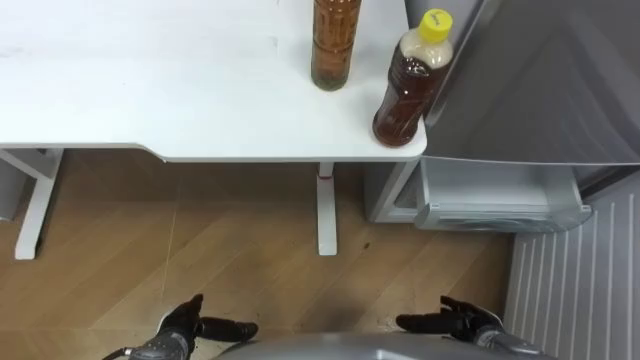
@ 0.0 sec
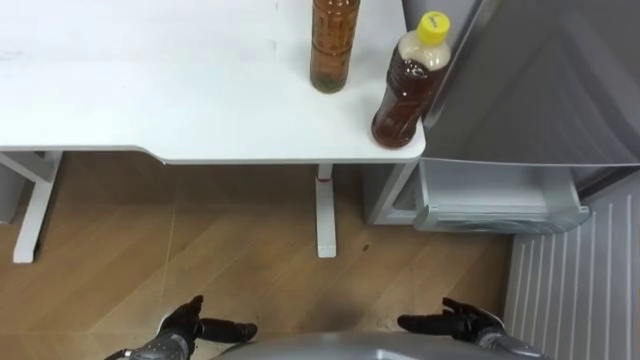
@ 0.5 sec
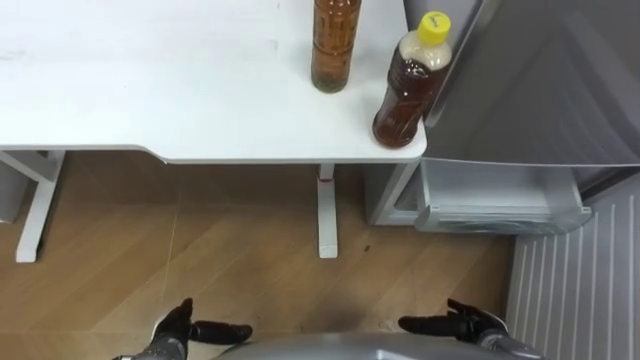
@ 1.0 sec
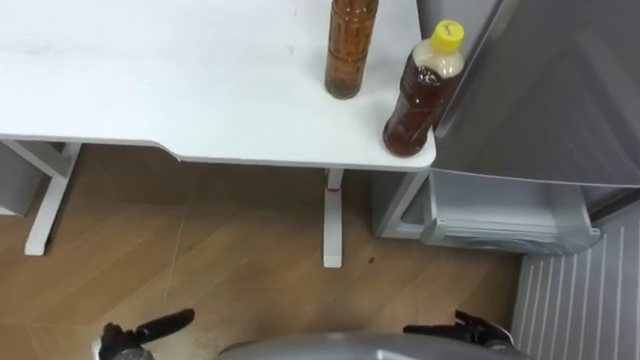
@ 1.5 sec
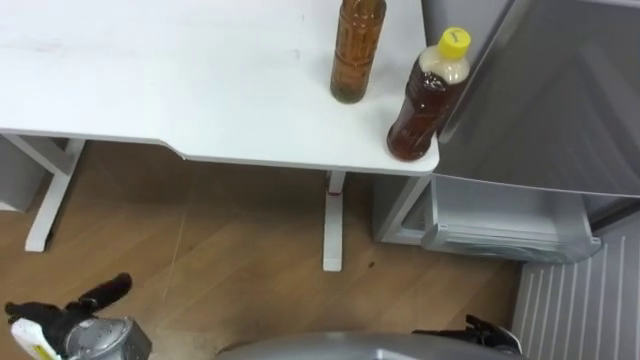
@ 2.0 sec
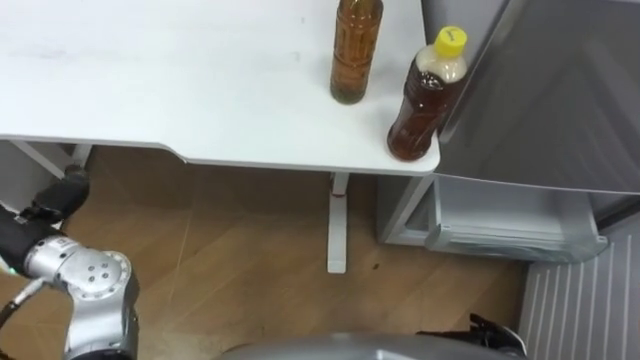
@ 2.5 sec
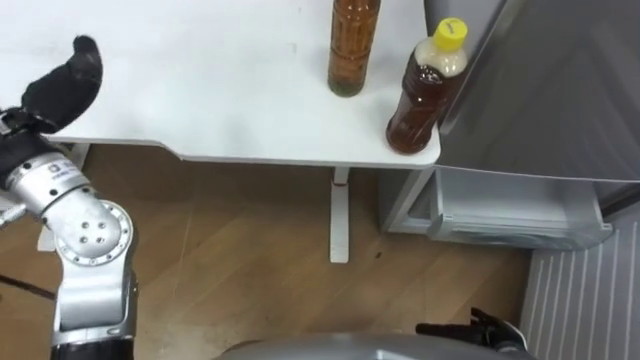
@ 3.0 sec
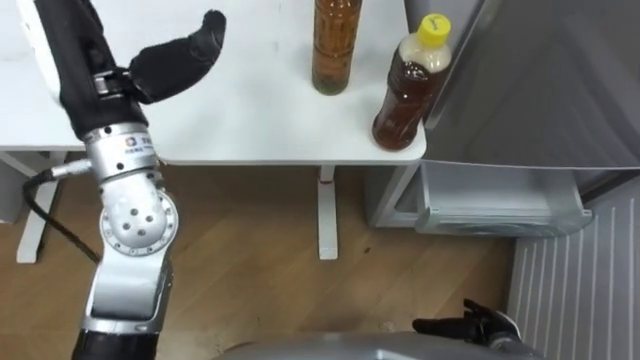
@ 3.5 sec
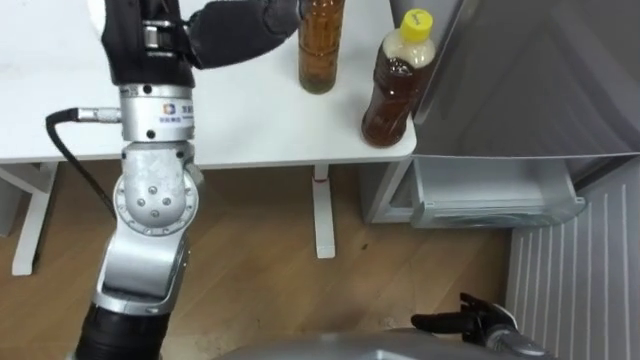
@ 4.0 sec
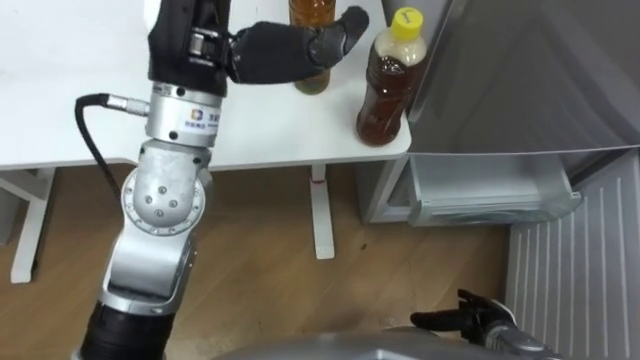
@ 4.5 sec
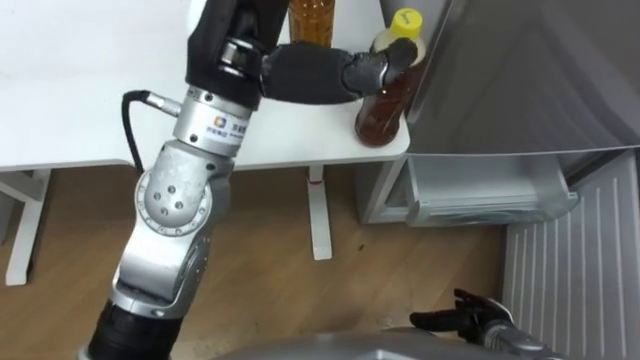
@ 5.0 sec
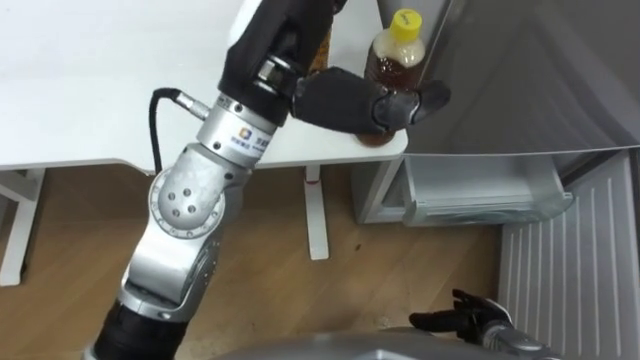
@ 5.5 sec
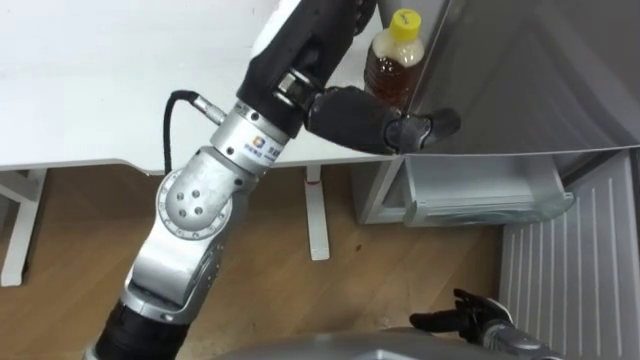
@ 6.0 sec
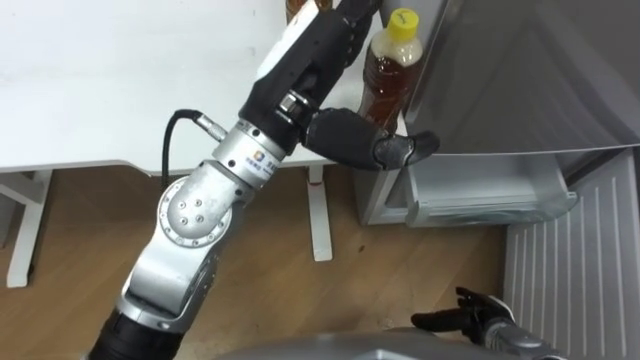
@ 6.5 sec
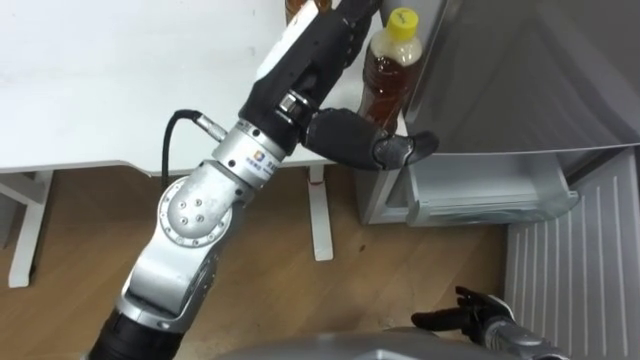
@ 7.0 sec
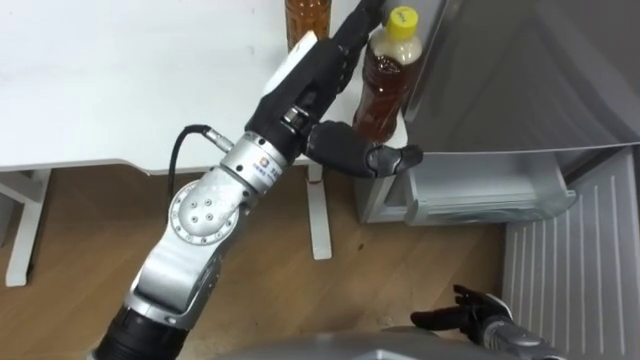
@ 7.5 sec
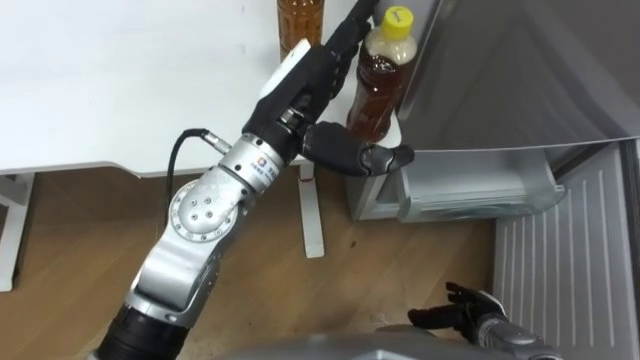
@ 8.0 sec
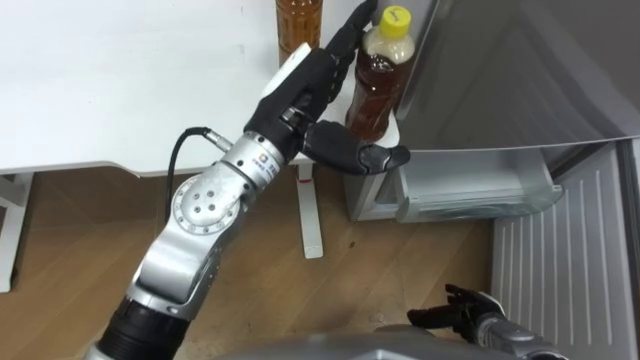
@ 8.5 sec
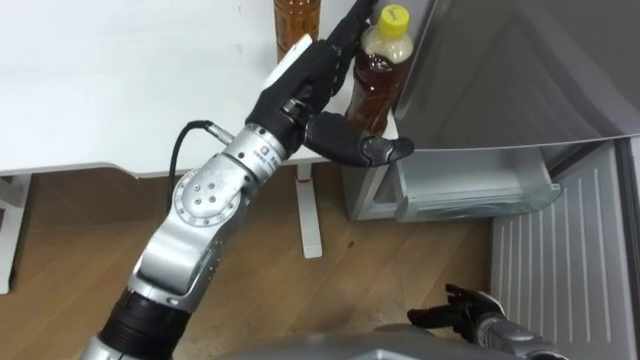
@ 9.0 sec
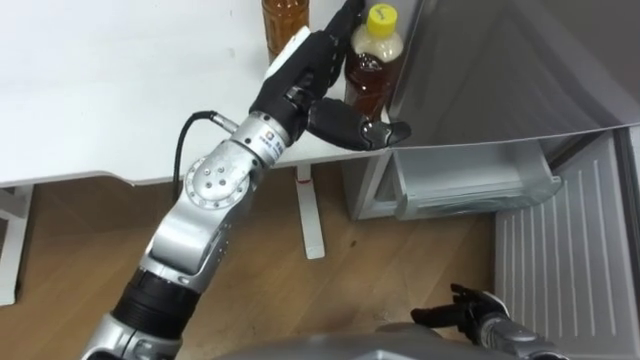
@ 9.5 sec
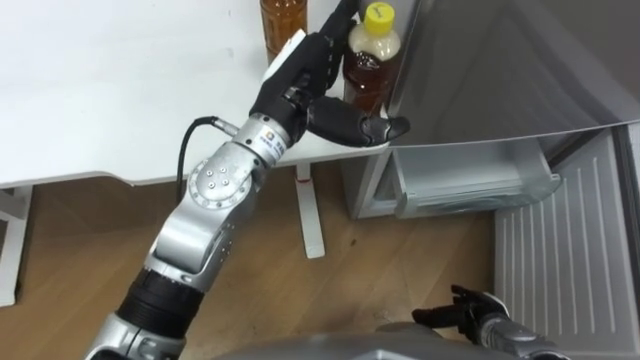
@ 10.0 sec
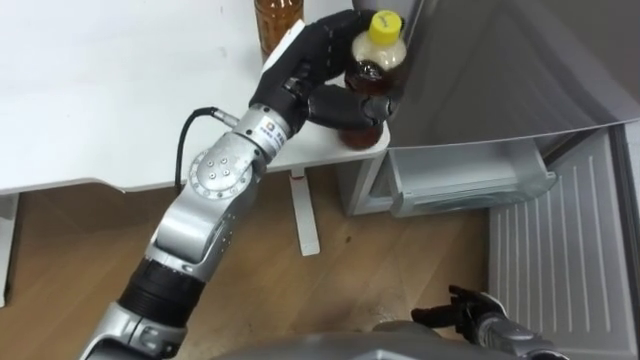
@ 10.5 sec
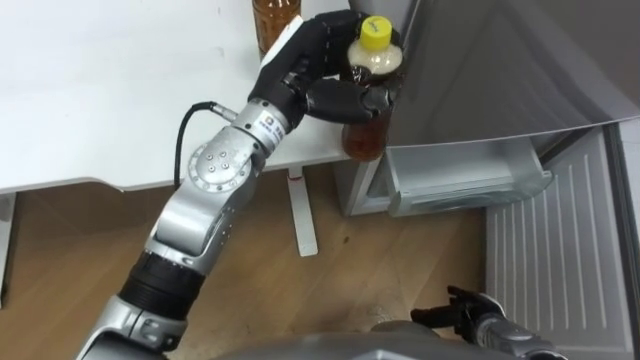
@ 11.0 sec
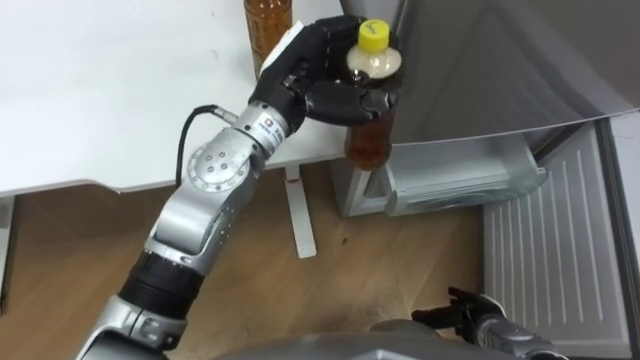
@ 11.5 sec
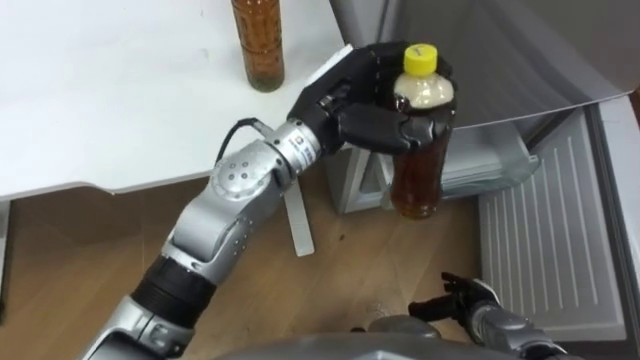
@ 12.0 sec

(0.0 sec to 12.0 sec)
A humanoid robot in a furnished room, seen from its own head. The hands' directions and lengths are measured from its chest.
Task of the whole recording: Place the drink on the table on the bottom shelf of the refrigerator, then close the drawer and the refrigerator door.
4.0 sec - 6.0 sec: The left hand goes approximately 10 cm to the right.
6.0 sec - 8.0 sec: The left hand is displaced downward by about 10 cm.
10.0 sec - 12.0 sec: The left hand closes.

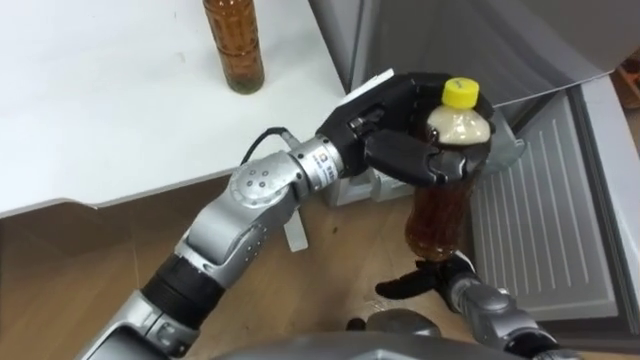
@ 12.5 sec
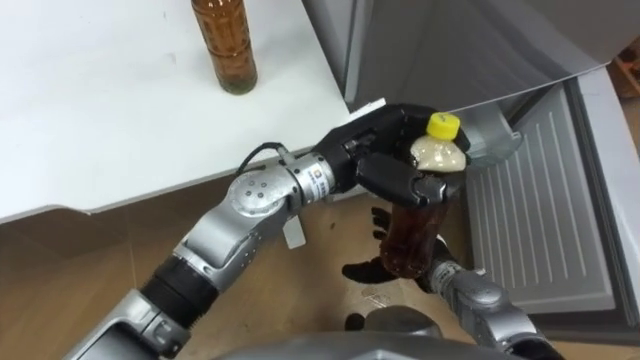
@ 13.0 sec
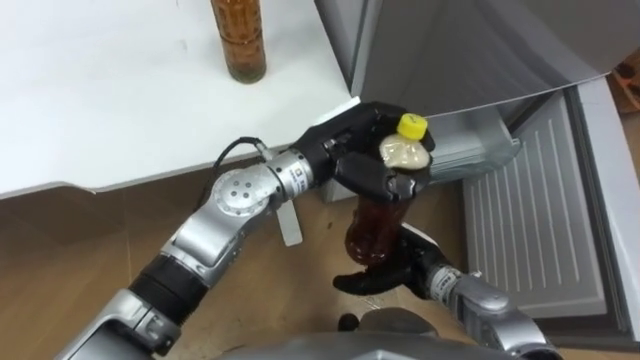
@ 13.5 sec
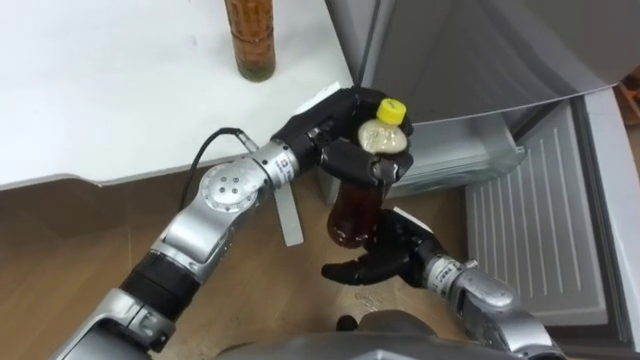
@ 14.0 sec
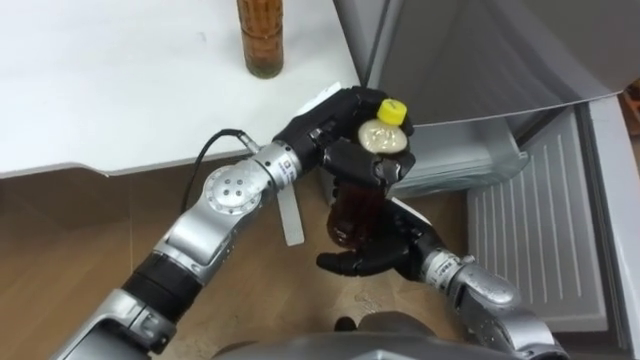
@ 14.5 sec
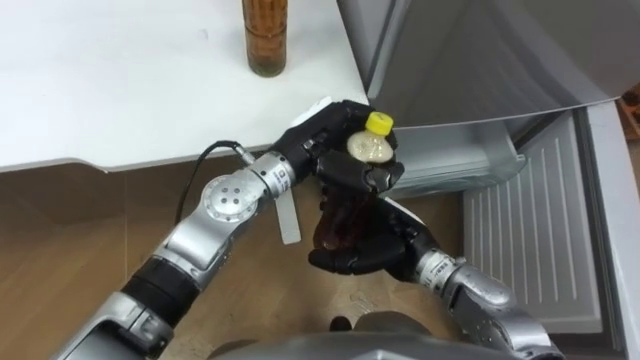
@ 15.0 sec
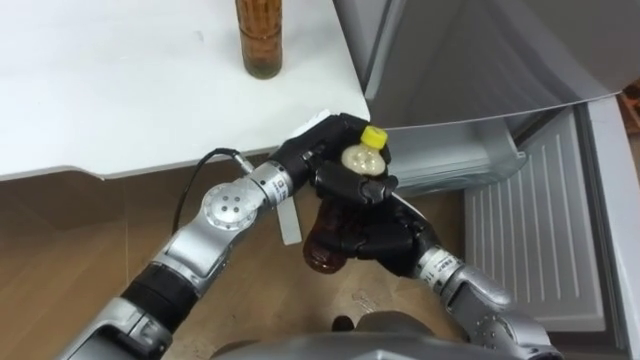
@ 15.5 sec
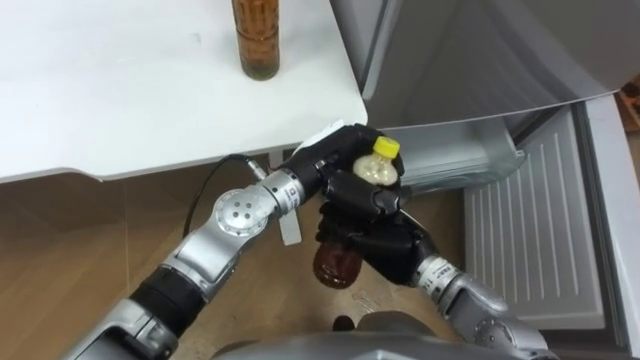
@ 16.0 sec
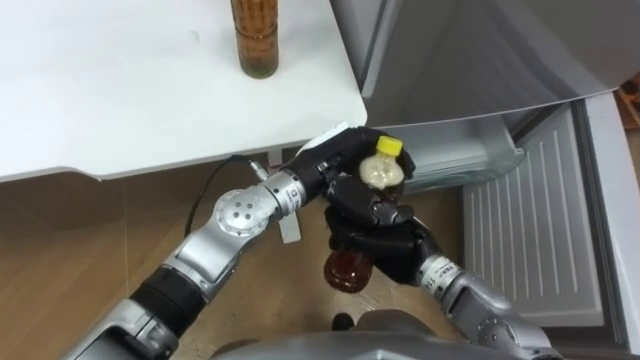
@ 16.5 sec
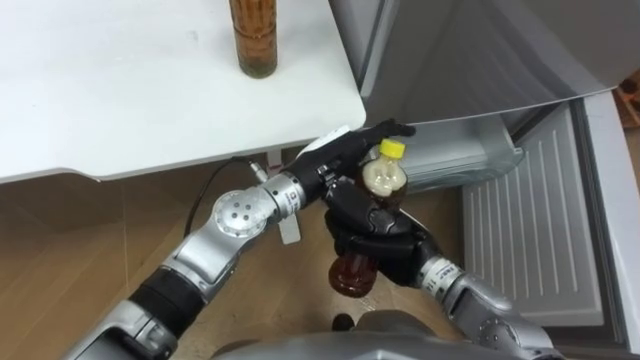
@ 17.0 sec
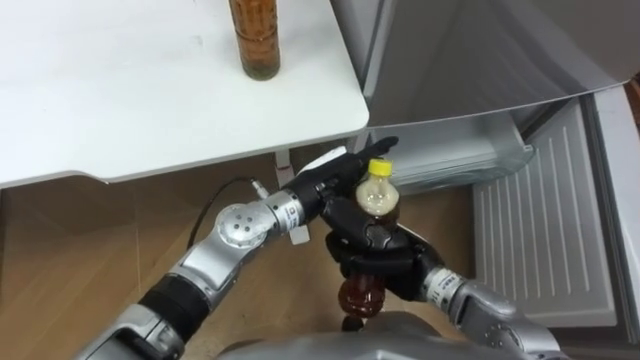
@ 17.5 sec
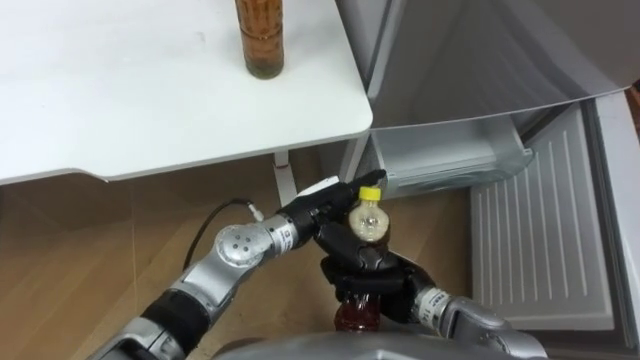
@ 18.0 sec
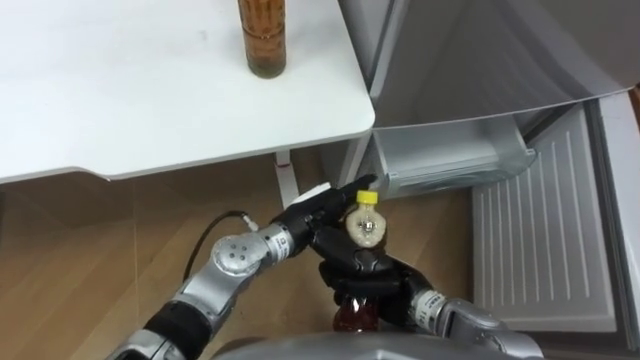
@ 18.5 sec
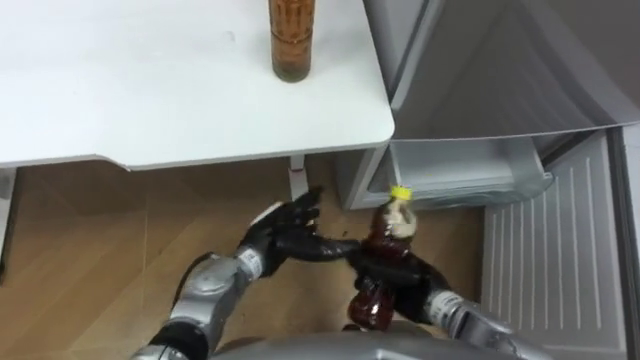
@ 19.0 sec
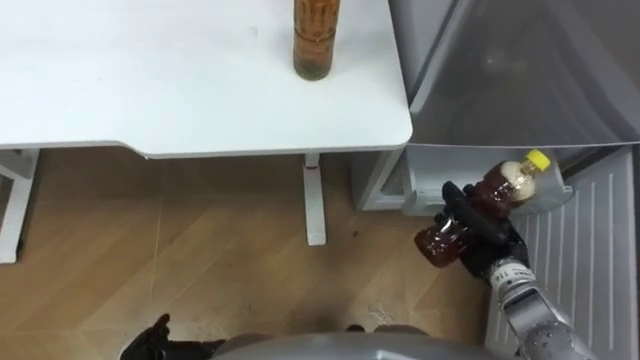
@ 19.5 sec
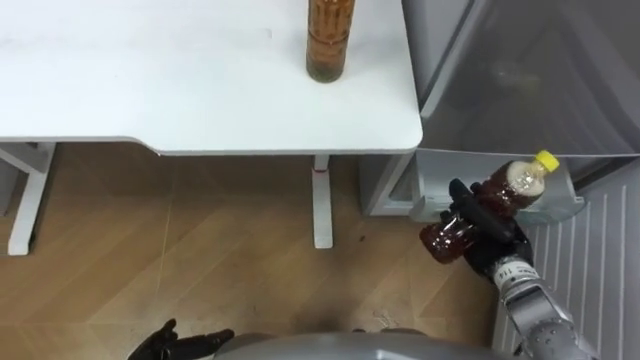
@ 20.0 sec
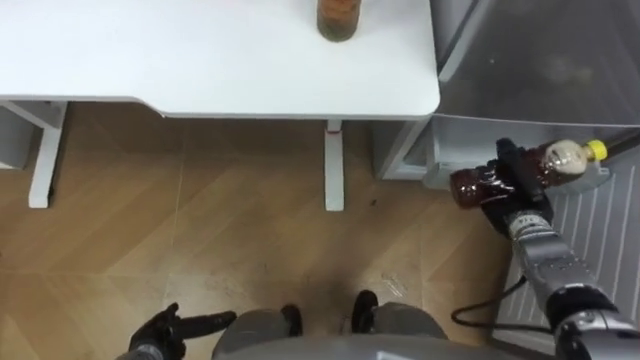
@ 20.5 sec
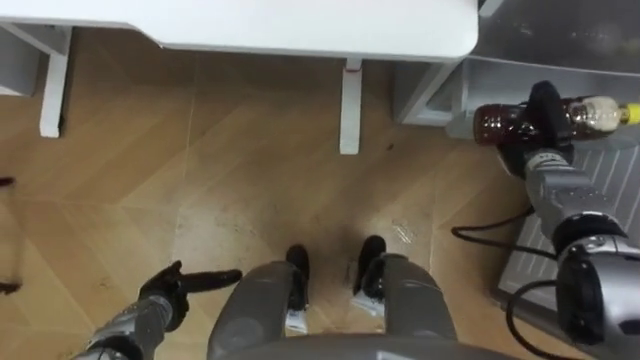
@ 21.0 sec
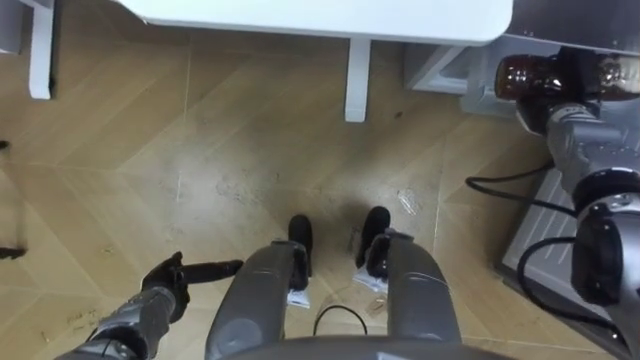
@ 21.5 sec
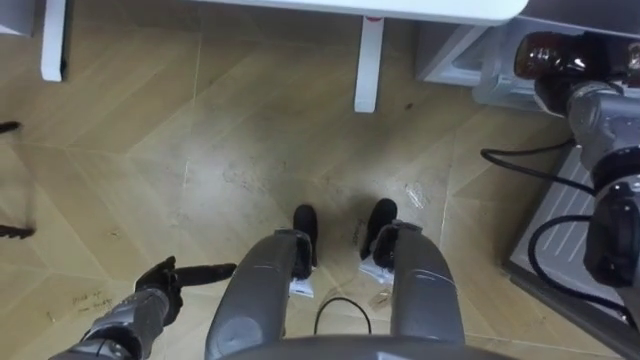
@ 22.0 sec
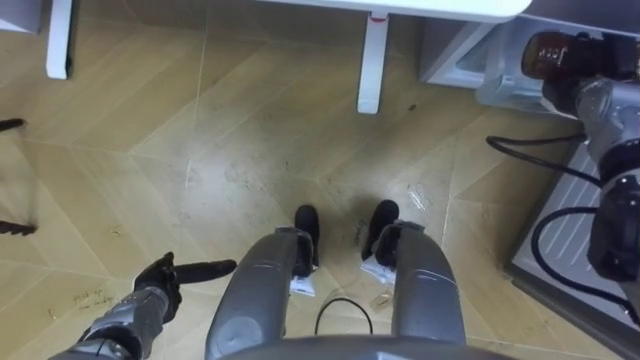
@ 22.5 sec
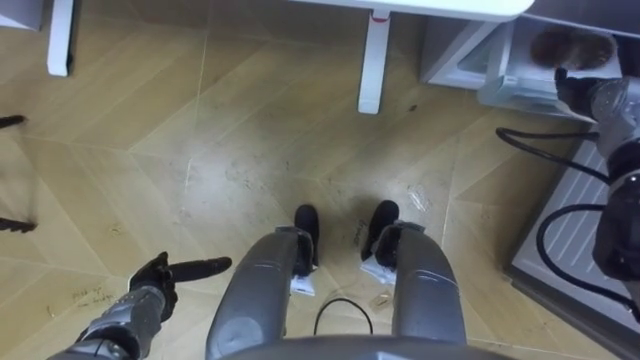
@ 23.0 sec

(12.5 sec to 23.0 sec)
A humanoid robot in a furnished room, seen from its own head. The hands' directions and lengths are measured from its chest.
Task of the whole recording: Place the drink on the table on the bottom shelf of the refrigerator, then close the drawer and the refrigerator door.
12.5 sec - 14.5 sec: The right hand shifts approximately 15 cm upward and to the left. The left hand is displaced downward and to the left by about 5 cm.
14.5 sec - 16.5 sec: The right hand closes up.
16.5 sec - 19.0 sec: The right hand shifts some 5 cm downward. The left hand moves downward, to the left and backward, roughly 15 cm, and opens its fingers.
19.0 sec - 21.0 sec: The right hand heads to the right and forward, covering roughly 25 cm.
21.0 sec - 23.0 sec: The right hand travels upward and to the right by some 10 cm, and opens.
